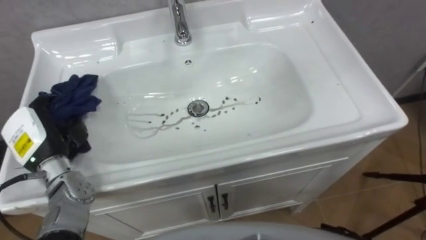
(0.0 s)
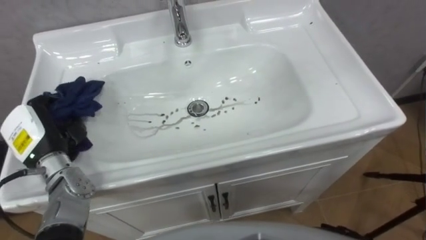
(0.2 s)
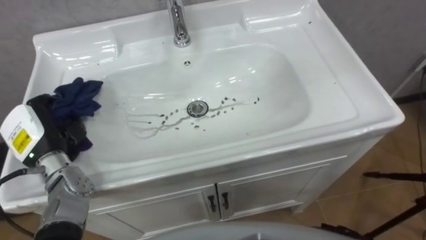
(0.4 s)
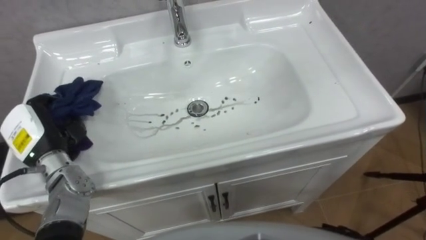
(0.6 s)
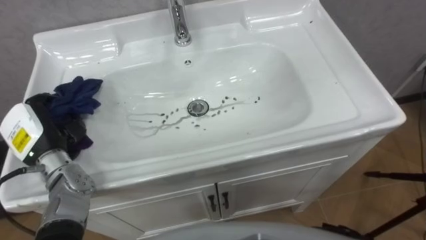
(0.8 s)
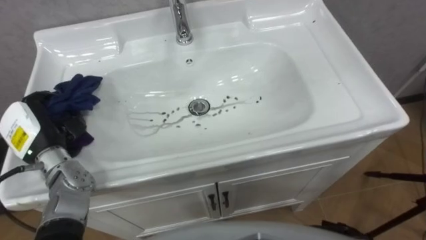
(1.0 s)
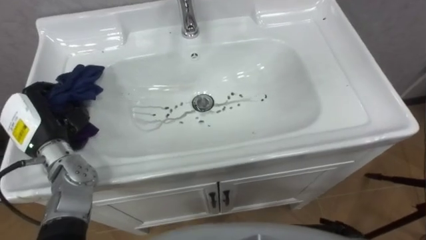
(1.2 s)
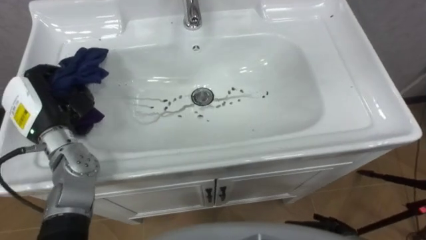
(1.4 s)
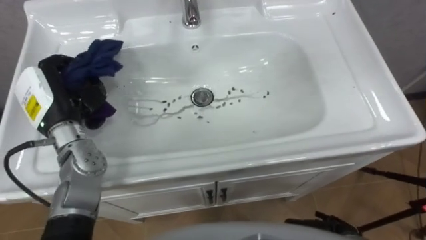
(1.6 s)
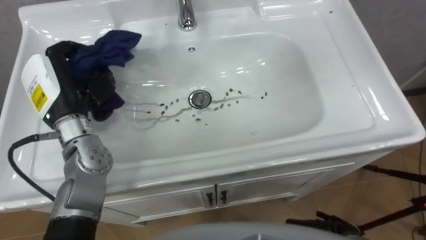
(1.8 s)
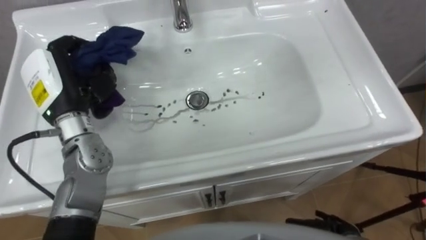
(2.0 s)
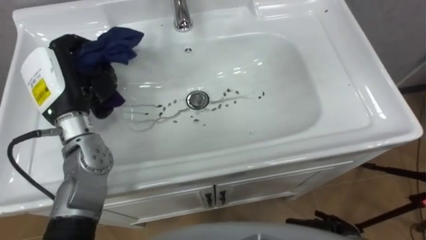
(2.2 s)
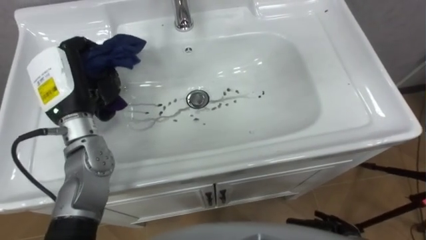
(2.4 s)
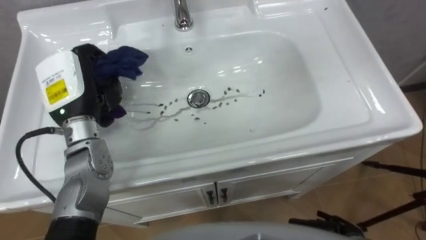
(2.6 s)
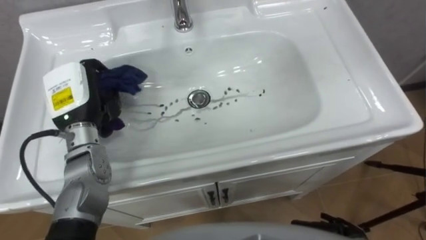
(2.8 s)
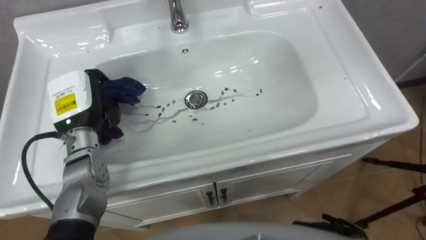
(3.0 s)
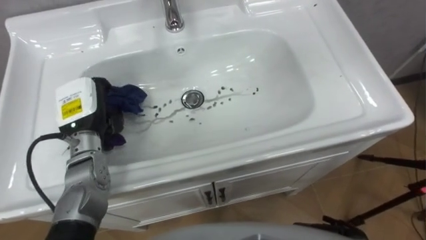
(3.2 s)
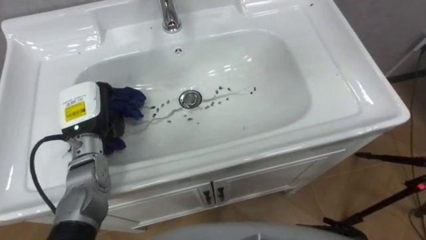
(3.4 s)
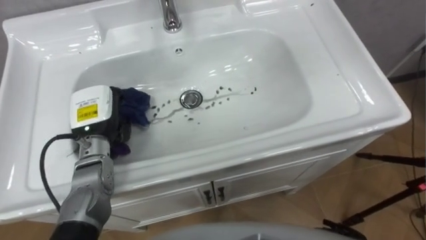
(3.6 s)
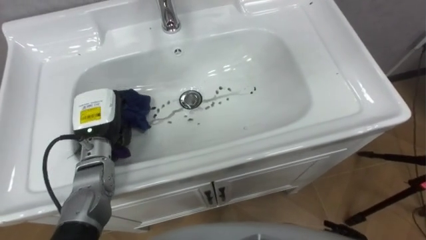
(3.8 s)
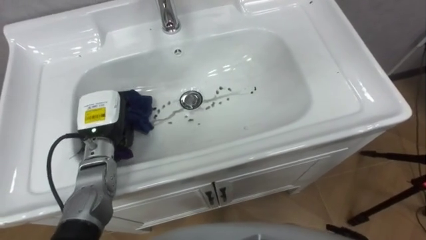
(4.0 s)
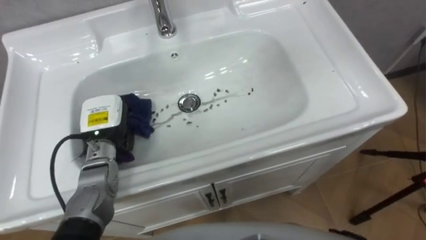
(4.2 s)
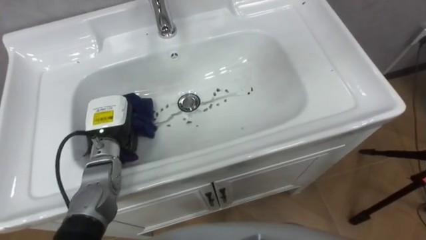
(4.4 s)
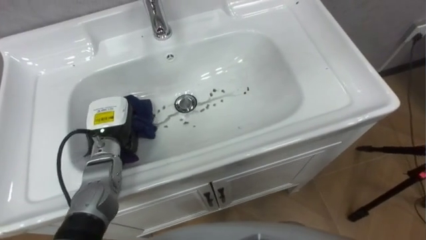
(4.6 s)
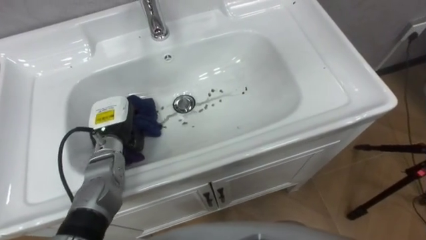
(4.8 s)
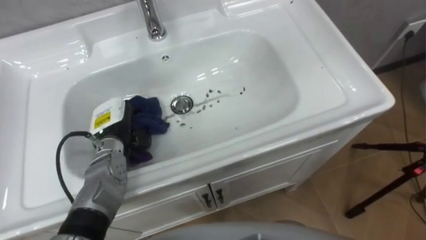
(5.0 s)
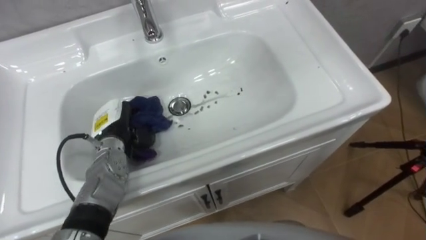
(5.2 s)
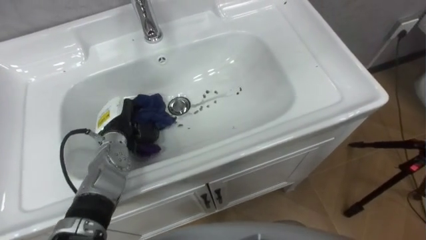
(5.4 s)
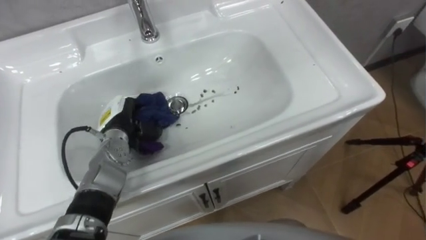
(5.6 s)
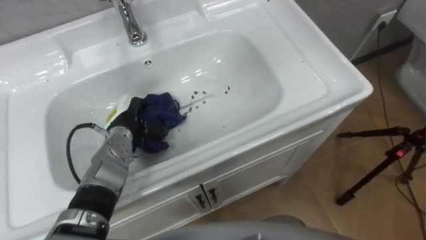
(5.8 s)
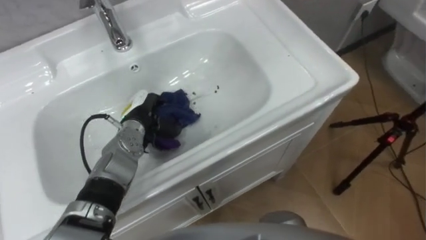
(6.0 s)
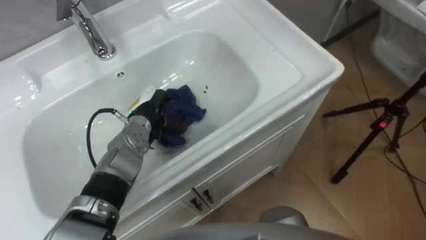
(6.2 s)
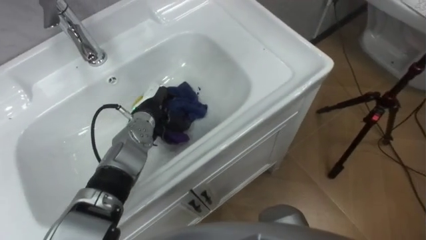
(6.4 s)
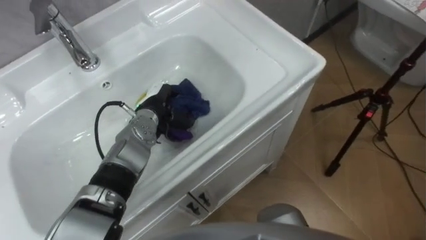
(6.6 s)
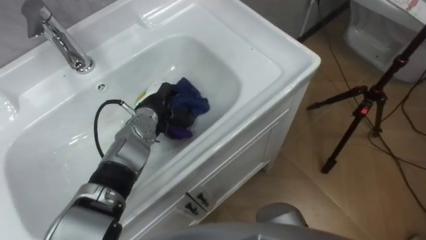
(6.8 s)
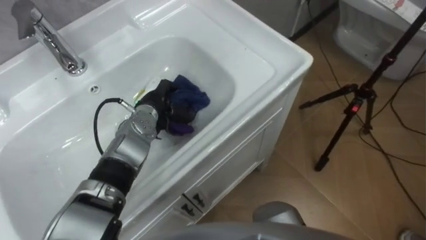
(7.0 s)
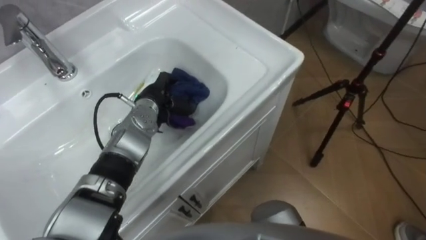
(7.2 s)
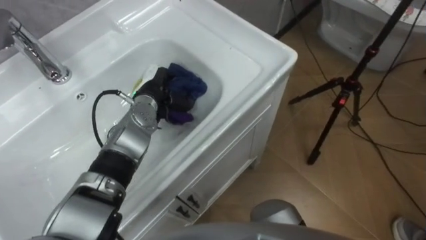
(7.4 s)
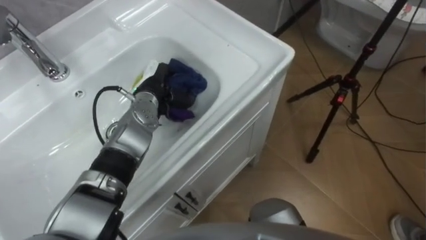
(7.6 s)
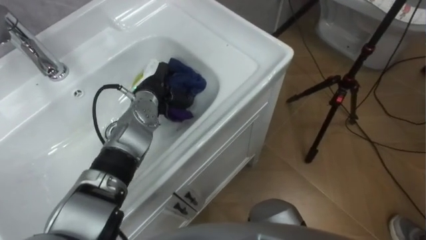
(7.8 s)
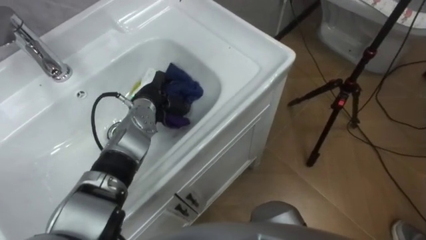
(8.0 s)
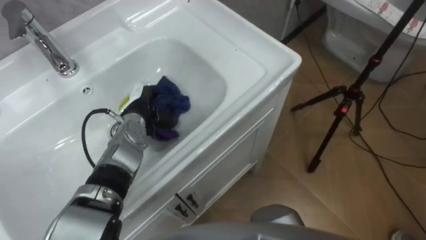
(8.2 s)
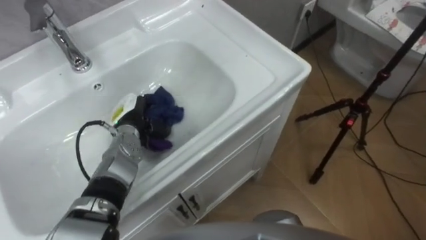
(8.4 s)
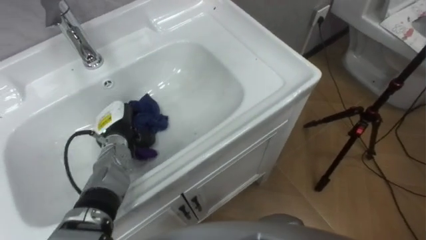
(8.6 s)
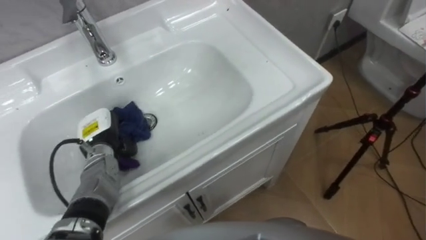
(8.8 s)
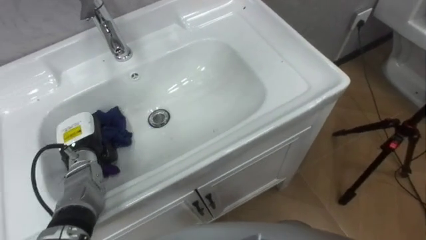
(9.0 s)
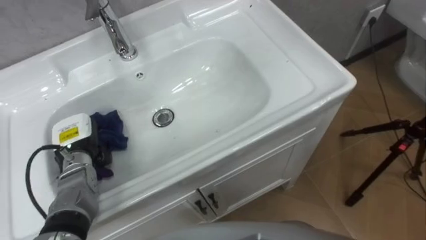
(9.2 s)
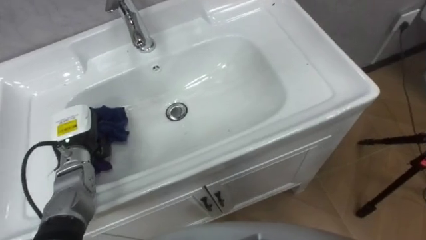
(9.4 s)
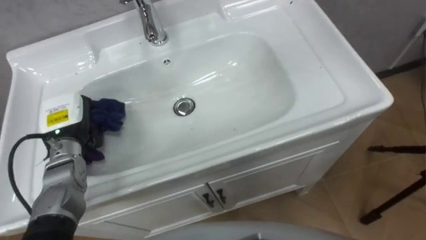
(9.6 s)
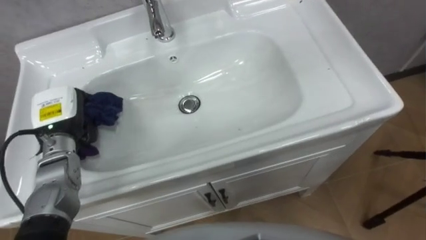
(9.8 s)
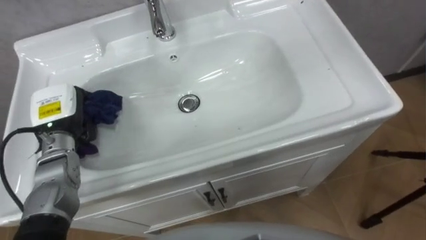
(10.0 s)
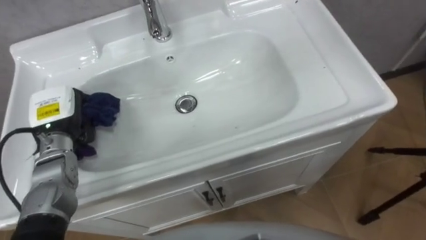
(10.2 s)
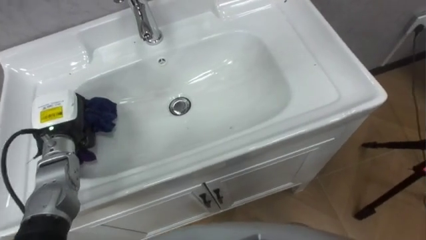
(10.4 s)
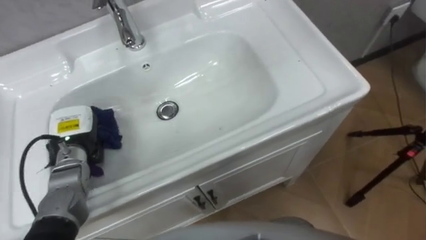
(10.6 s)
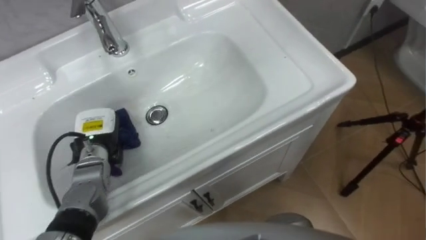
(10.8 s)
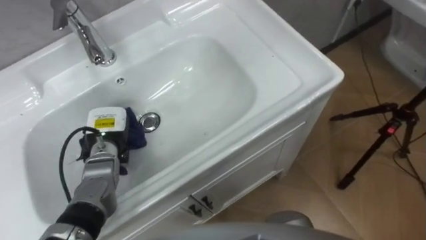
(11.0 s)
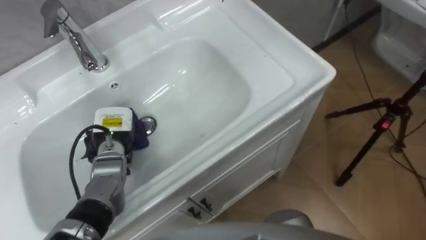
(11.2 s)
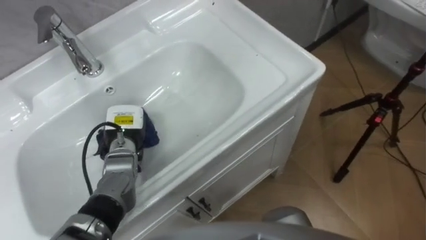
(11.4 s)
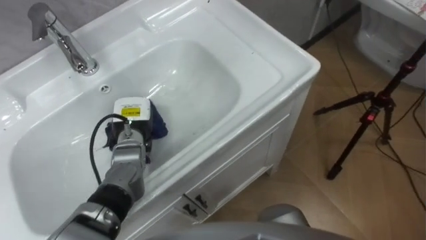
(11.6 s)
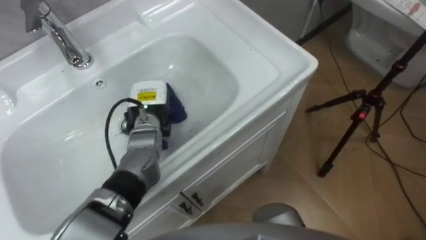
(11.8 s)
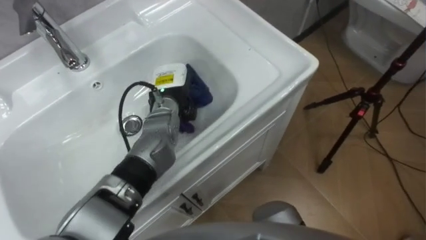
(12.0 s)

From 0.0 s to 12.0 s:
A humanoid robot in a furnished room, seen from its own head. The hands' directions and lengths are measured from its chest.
Task of the whole recording: Use the cloth on the right to wipe away the black stain in the sink.
From 0.0 s to 1.6 s: The left hand travels upward and forward by approximately 10 cm.
From 3.0 s to 4.4 s: The left hand heads downward, covering approximately 5 cm.
From 4.4 s to 6.0 s: The left hand goes approximately 5 cm to the right.
From 6.0 s to 7.6 s: The left hand moves some 5 cm.
From 7.6 s to 9.0 s: The left hand goes roughly 20 cm to the left and backward.
From 9.0 s to 10.4 s: The left hand is displaced upward by approximately 5 cm.
From 10.4 s to 12.0 s: The left hand shifts approximately 20 cm to the right.

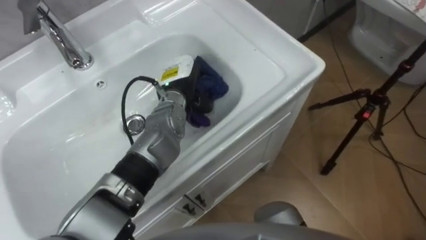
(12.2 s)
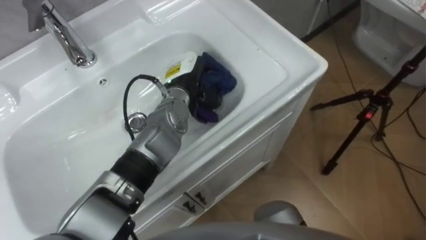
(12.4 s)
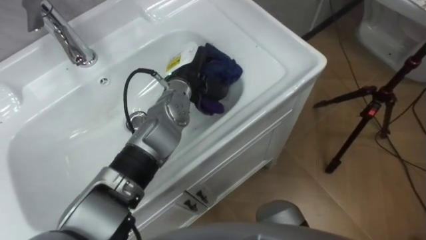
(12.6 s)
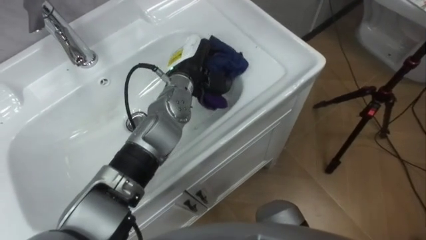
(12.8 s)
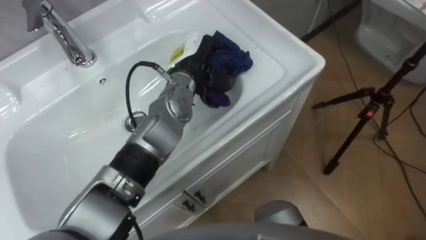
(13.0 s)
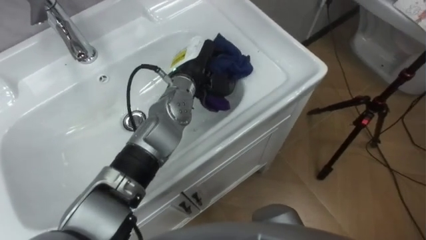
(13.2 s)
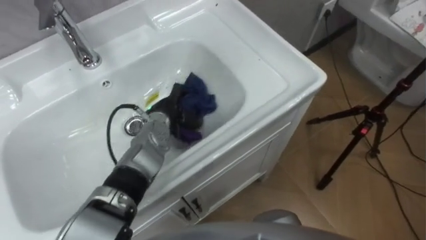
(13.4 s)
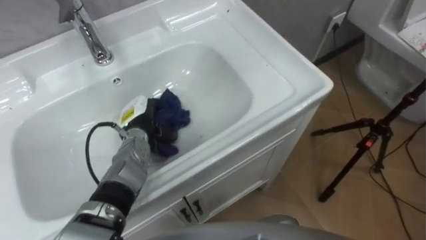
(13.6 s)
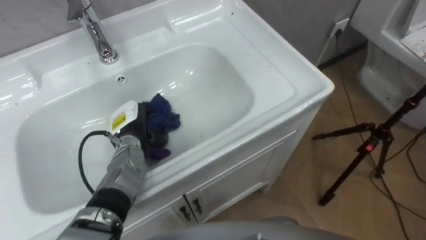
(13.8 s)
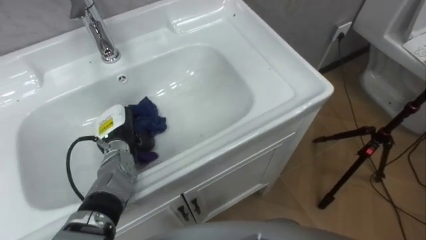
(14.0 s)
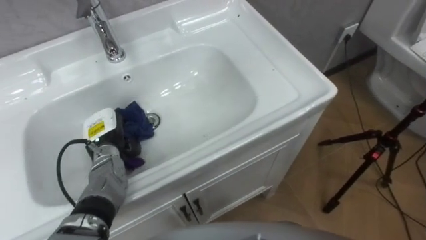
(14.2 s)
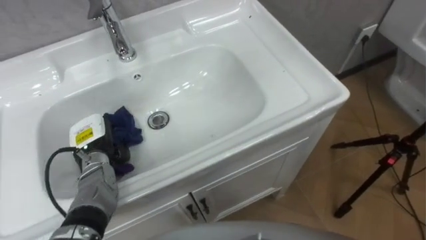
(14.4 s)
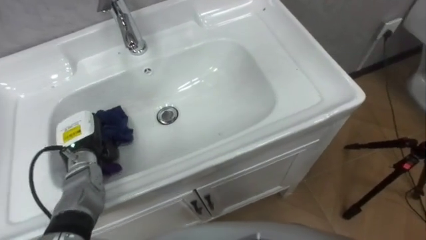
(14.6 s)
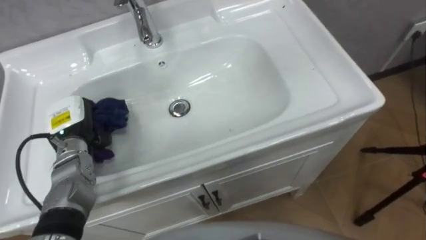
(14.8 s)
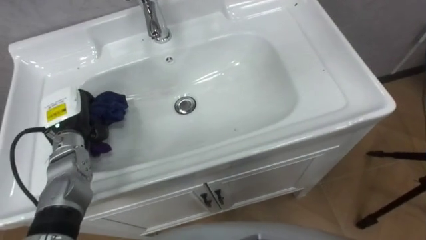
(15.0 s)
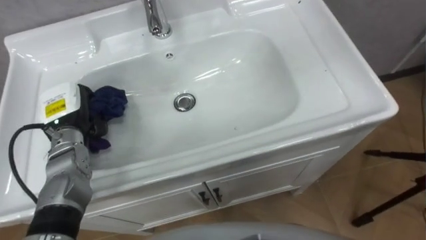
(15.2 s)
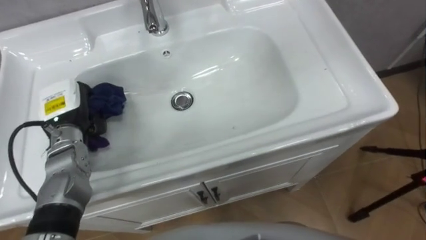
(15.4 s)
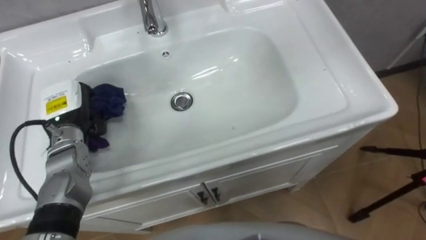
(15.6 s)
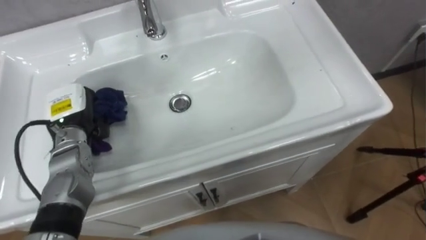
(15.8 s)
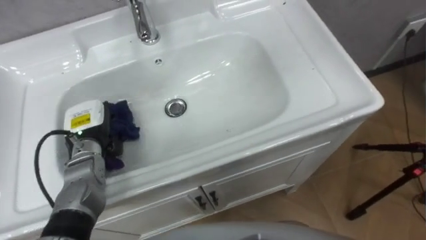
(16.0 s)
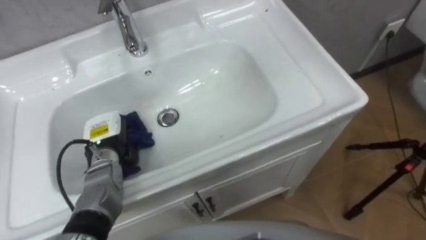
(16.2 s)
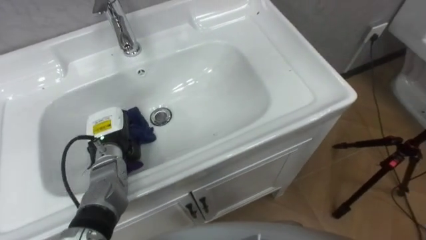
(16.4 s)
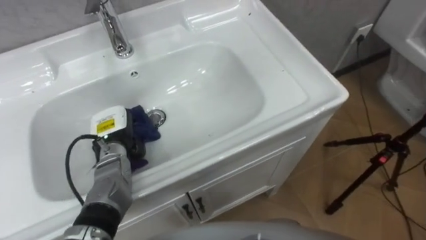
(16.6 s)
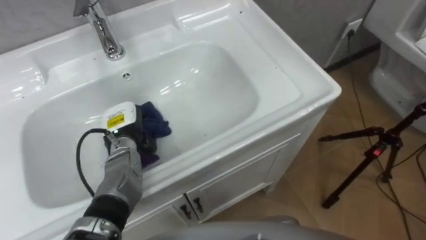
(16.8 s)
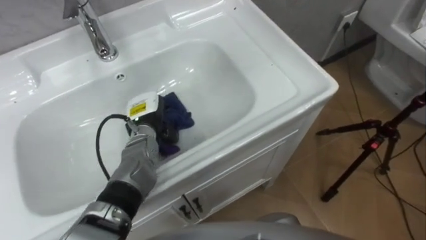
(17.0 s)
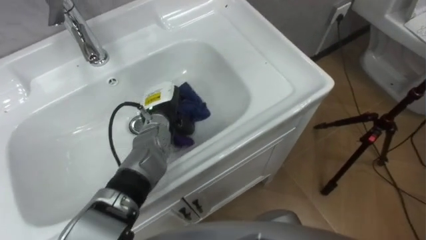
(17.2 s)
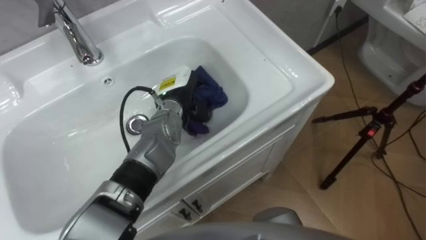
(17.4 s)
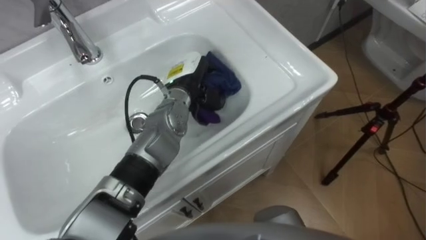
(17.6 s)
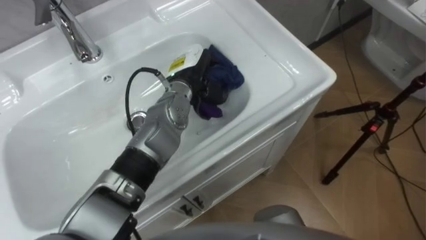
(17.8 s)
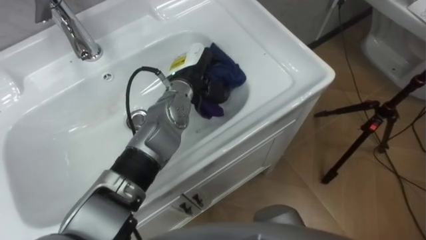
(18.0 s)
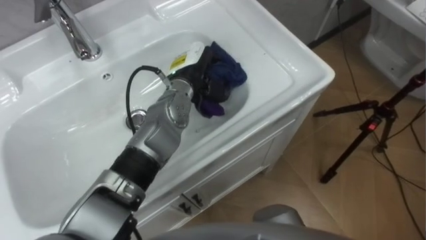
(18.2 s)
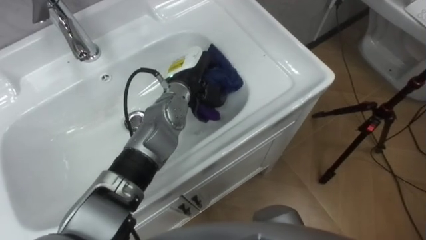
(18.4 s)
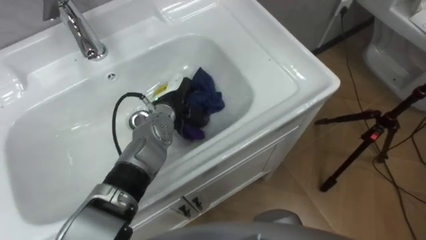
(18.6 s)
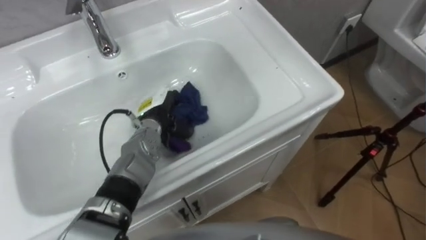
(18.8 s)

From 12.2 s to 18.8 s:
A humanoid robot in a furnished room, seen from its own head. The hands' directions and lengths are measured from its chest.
Task of the whole recording: Use the cloth on the right to wipe away the black stain in the sink.
From 12.2 s to 13.8 s: The left hand travels to the left, downward and backward by about 15 cm.
From 13.8 s to 15.4 s: The left hand travels to the left and upward by about 15 cm.
From 15.4 s to 17.2 s: The left hand moves to the right, roughly 20 cm.
From 17.2 s to 18.8 s: The left hand moves about 10 cm upward and comes back.
